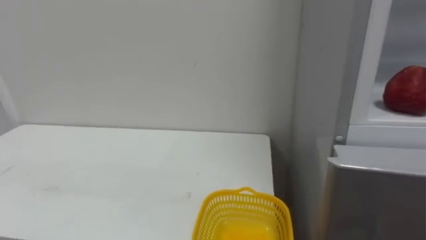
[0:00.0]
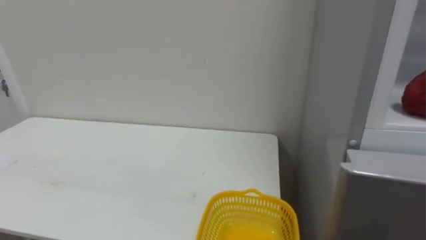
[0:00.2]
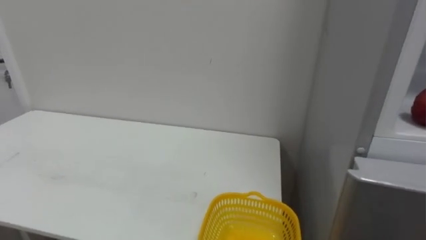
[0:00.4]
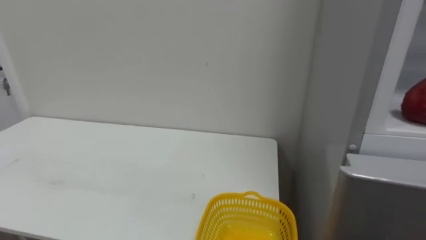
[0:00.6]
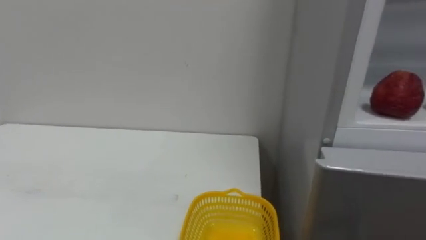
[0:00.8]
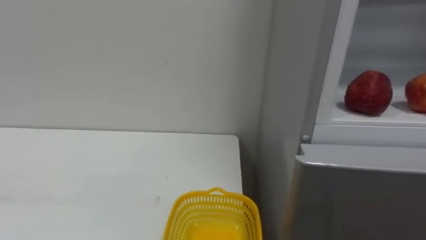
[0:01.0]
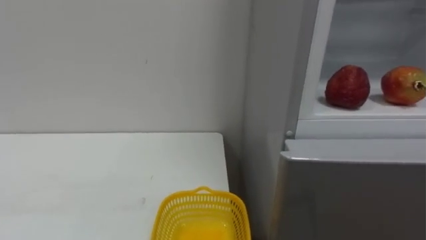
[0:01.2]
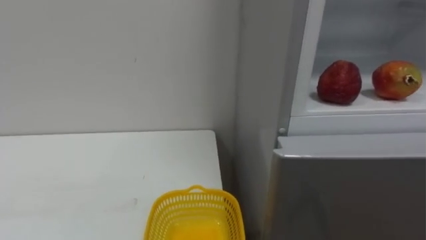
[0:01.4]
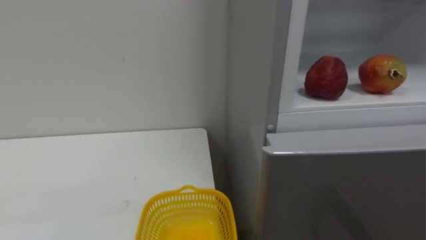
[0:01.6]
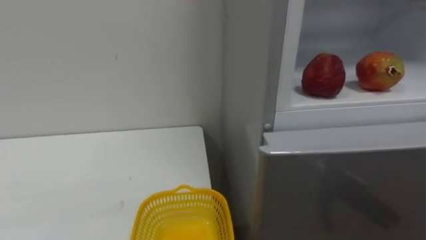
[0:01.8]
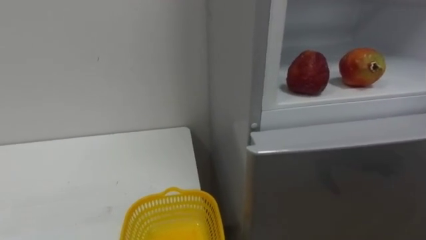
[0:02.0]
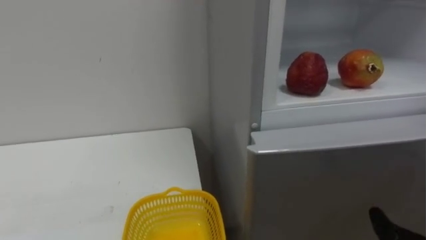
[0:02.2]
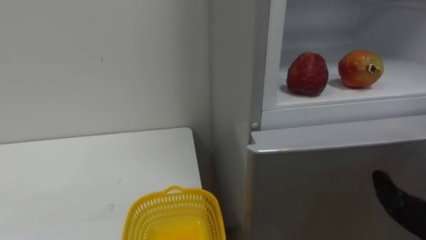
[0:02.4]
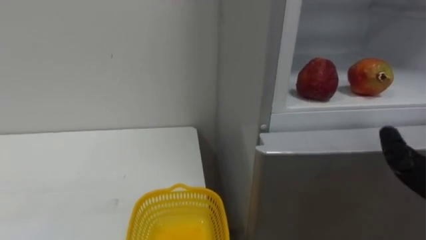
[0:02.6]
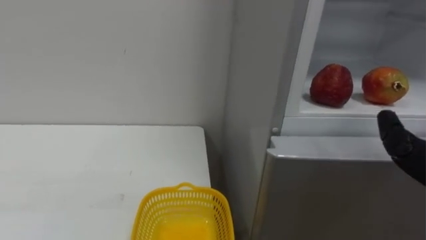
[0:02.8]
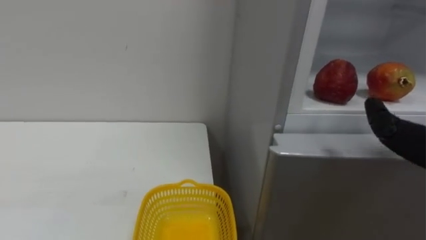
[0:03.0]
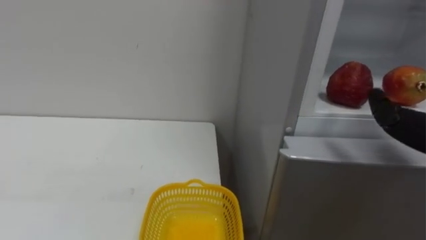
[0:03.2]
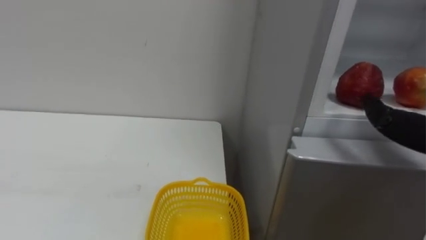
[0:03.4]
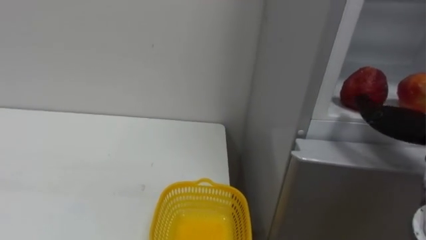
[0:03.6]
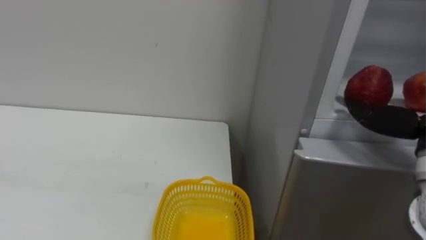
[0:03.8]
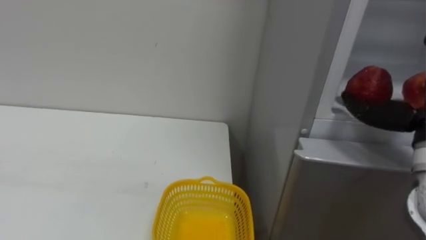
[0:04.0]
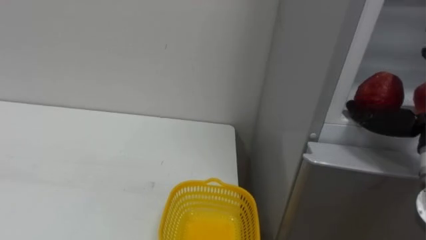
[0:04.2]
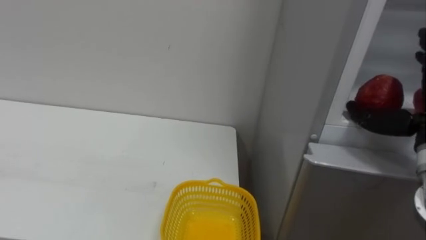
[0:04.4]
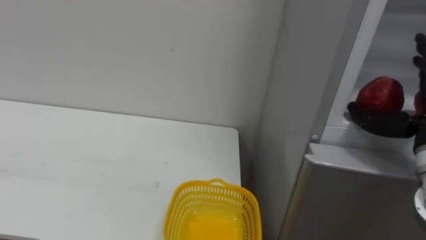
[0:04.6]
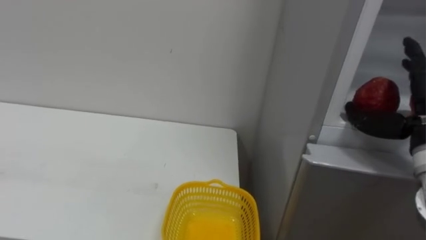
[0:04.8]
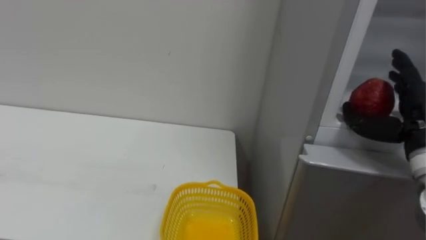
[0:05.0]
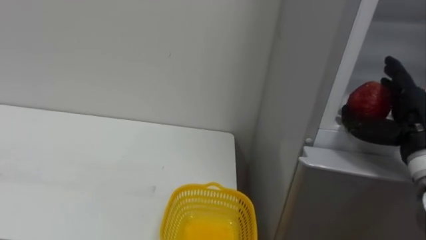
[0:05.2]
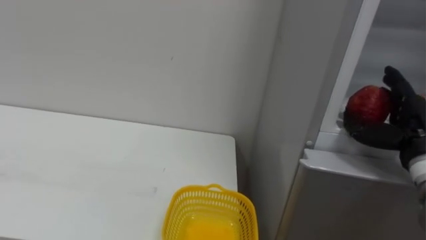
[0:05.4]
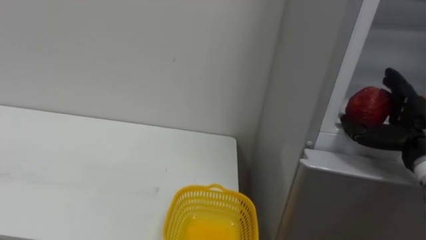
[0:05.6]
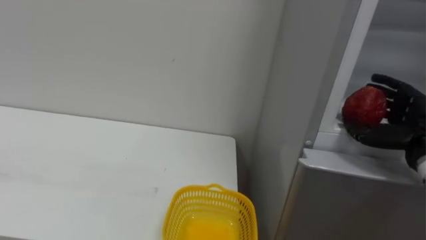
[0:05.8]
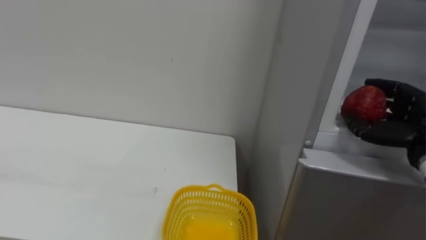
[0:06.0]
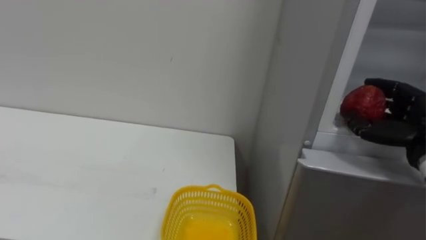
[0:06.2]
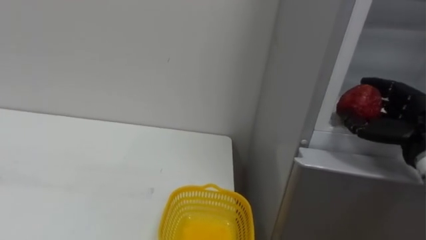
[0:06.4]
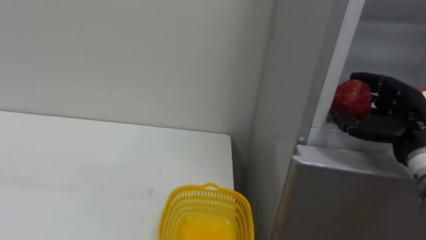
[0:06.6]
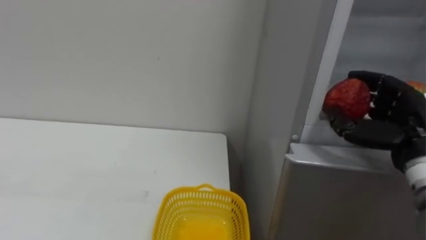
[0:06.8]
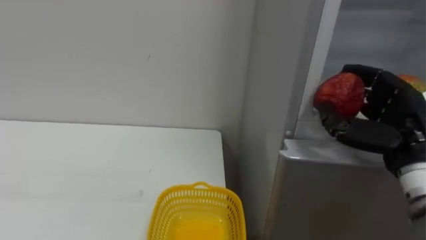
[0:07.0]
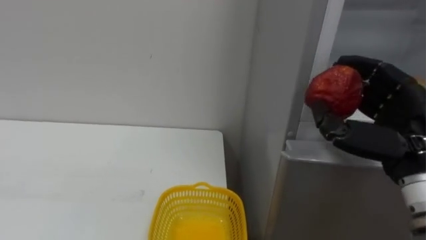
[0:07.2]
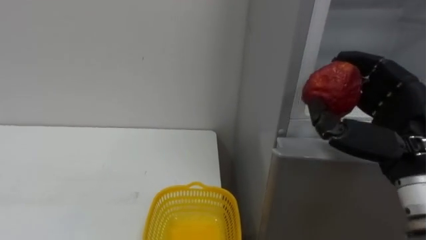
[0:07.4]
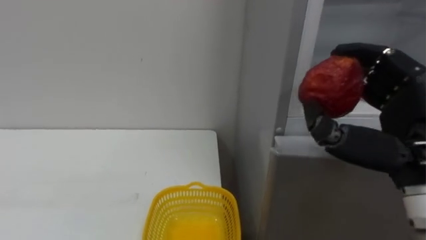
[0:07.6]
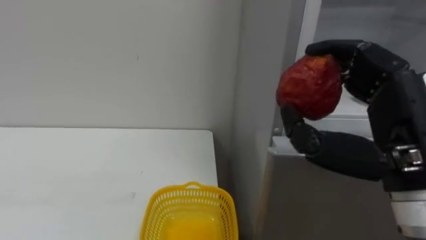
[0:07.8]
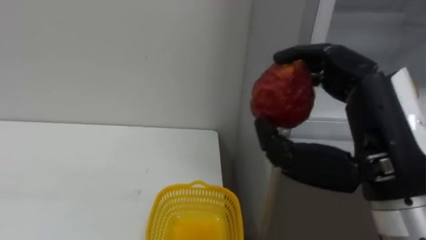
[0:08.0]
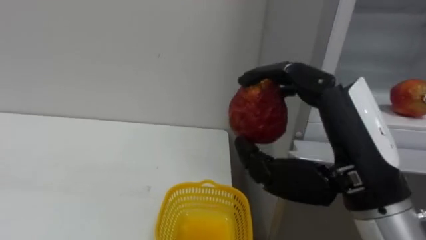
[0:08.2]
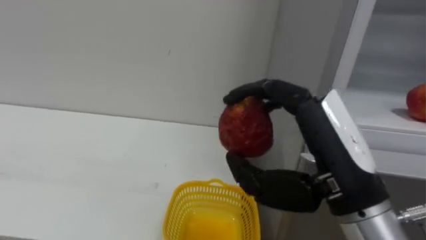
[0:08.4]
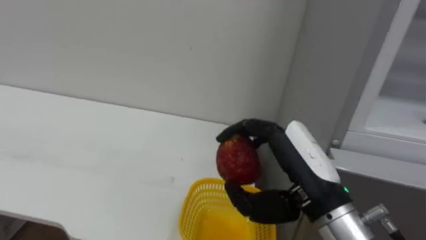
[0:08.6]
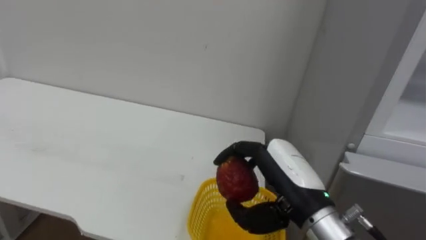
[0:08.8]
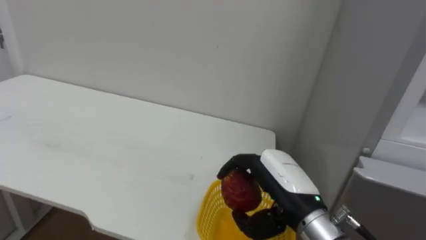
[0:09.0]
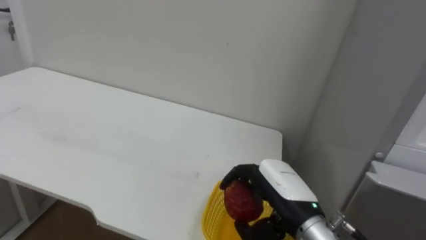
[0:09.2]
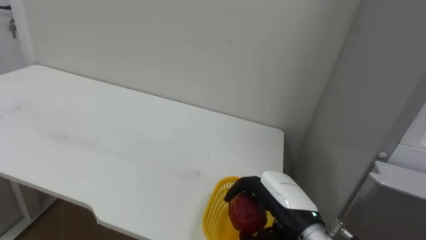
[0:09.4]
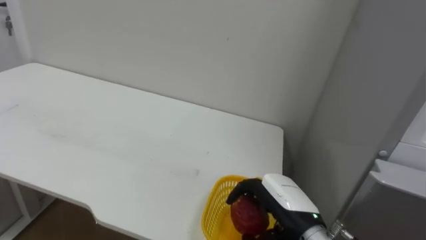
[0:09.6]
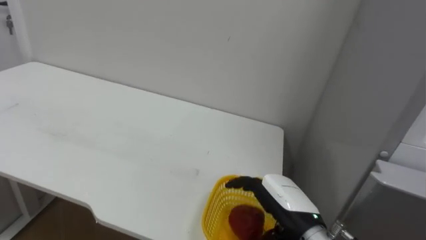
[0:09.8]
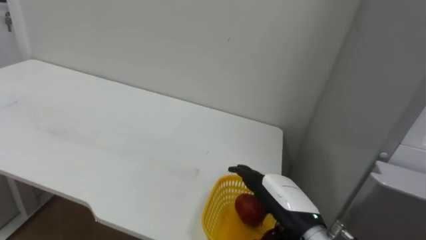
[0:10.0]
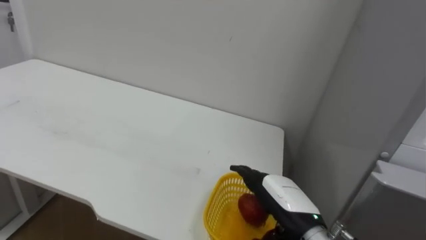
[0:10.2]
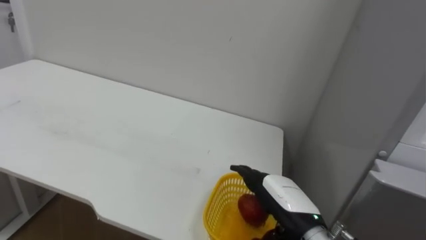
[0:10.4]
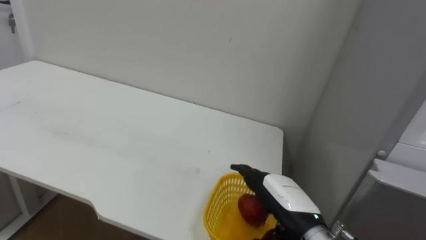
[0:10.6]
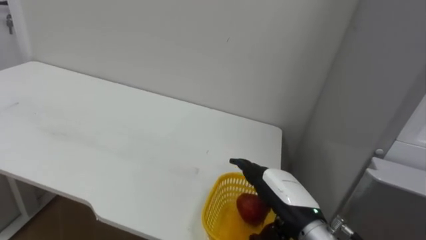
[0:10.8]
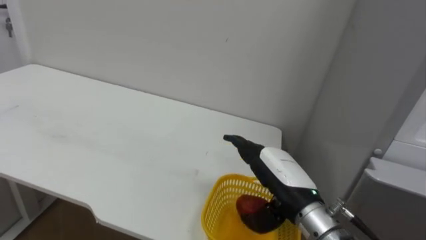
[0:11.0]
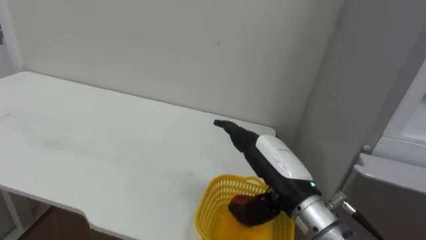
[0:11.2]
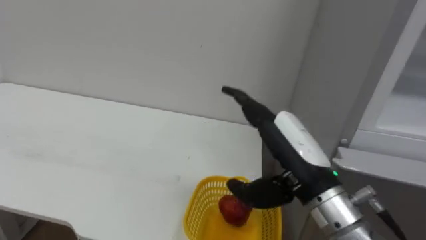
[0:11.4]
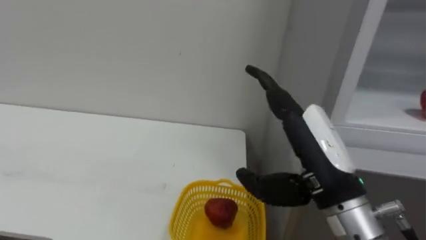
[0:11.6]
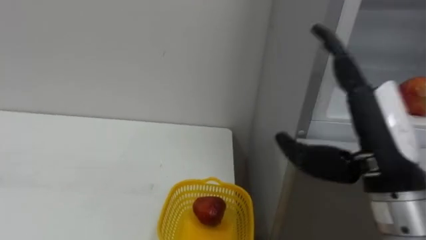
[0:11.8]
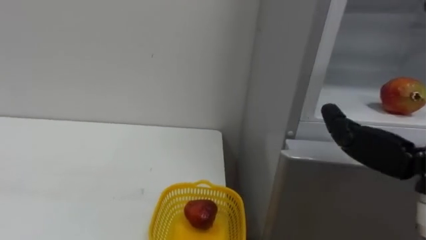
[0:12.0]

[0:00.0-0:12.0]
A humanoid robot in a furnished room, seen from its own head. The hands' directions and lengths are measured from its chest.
Task of the whole recording: Open the refrigerator door, take out the apple and the pomegranate, place them in the fruit basket on the left, and close the refrigerator door.
0:06.0 to 0:07.6: The right hand travels backward, to the left and upward by roughly 15 cm.
0:07.6 to 0:09.0: The right hand moves downward and to the left, some 15 cm.
0:09.0 to 0:10.4: The right hand is displaced downward by about 5 cm, and opens.

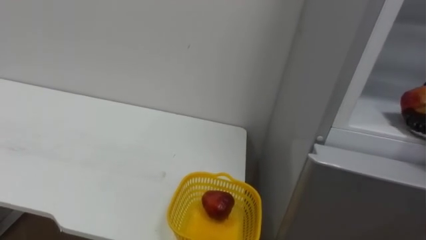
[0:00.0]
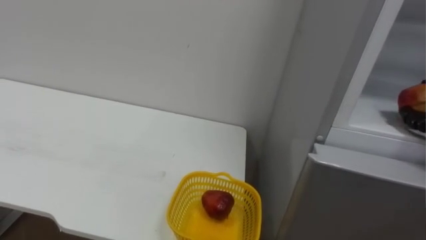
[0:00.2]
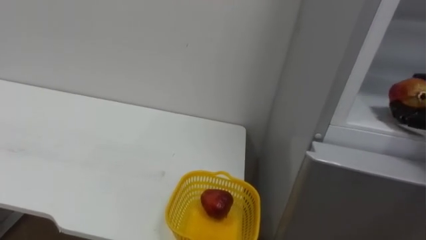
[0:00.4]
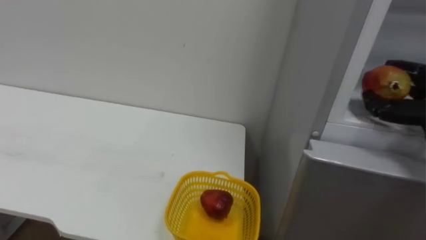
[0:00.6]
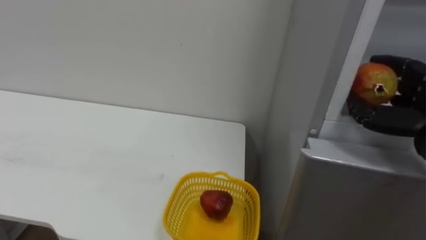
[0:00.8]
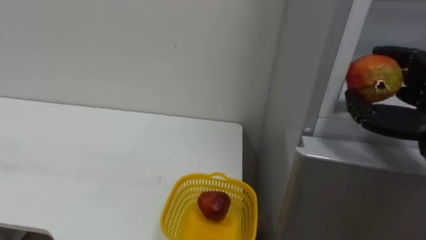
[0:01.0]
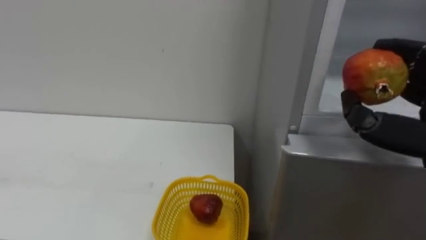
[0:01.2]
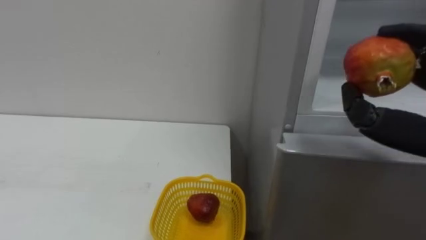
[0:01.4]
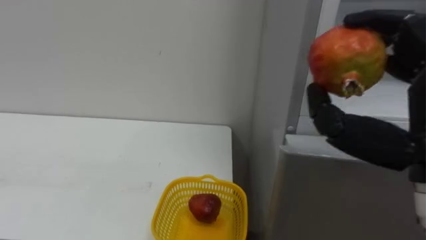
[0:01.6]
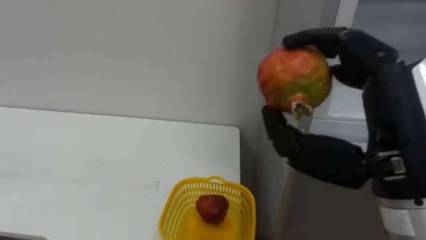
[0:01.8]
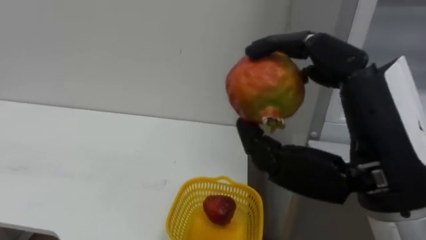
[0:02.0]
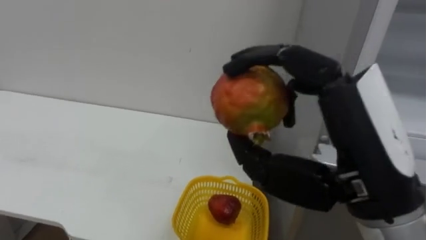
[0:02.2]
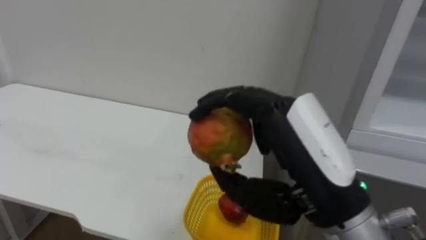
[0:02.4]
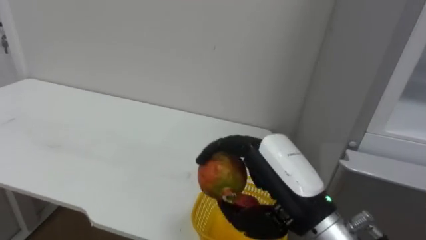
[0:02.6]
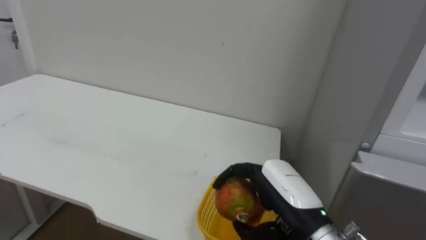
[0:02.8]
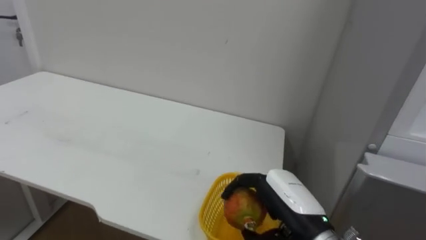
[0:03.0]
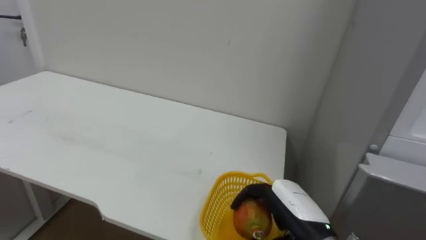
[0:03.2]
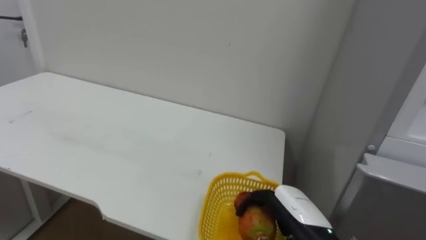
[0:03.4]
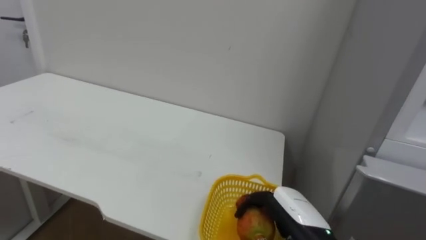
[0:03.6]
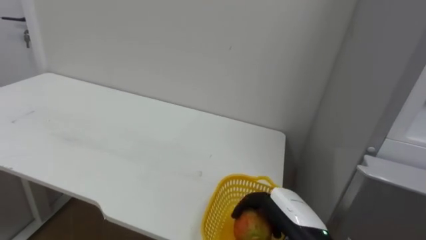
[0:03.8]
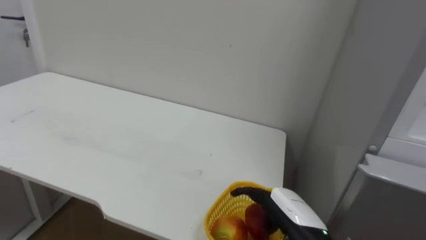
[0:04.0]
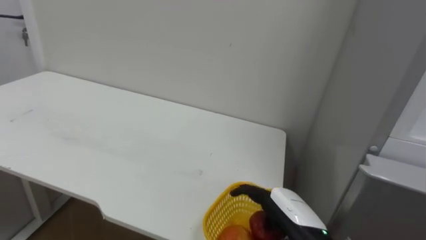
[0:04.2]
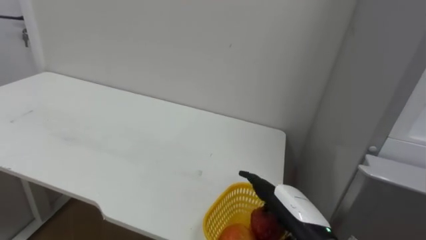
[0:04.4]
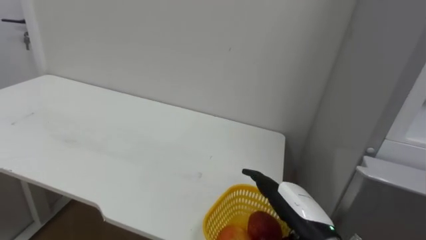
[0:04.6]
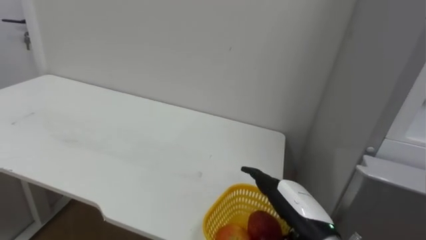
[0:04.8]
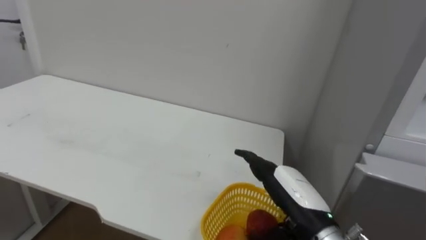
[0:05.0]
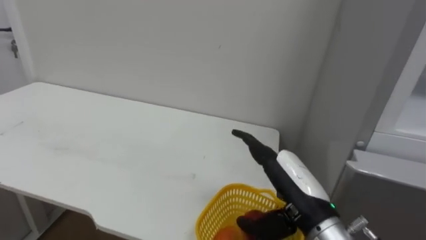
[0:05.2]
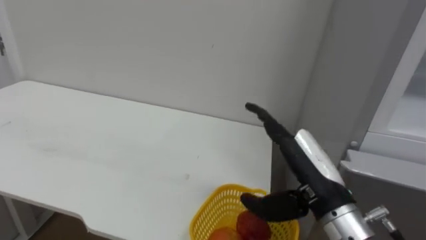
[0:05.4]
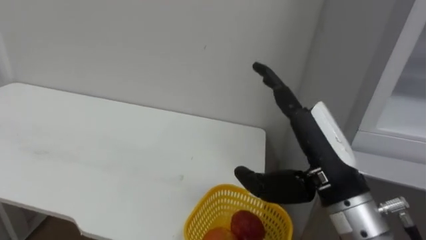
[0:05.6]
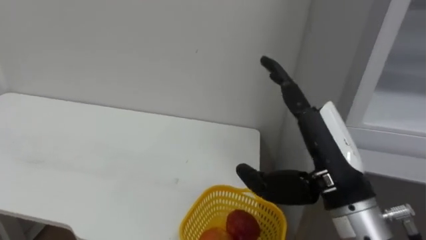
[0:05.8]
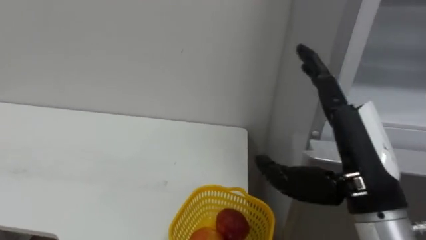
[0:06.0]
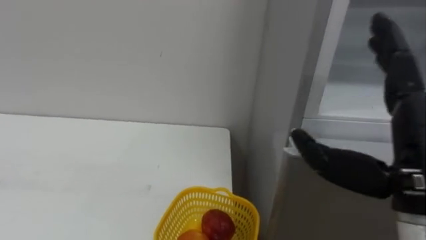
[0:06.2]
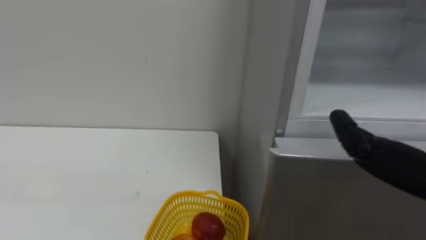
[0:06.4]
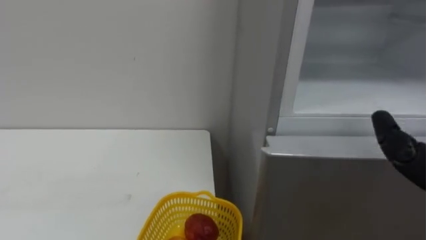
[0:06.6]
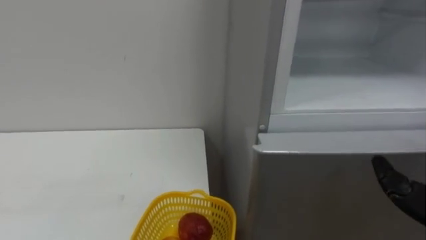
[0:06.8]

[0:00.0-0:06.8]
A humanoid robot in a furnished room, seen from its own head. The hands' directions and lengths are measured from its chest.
Task of the whole recording: Open the refrigerator door, take out the apple and the pomegranate, place them in the fruit basket on the left, and close the refrigerator door.
0:02.8 to 0:04.0: The right hand shifts approximately 10 cm downward.
0:04.0 to 0:05.4: The right hand is displaced upward by some 10 cm.
